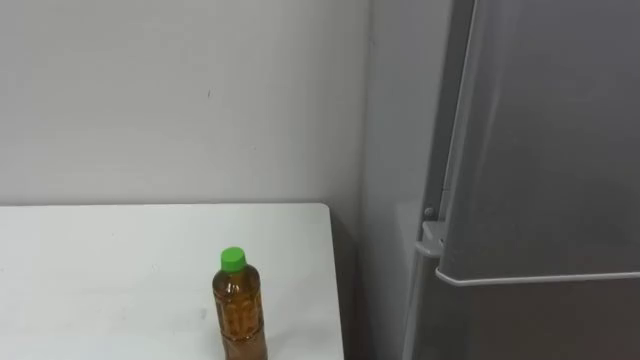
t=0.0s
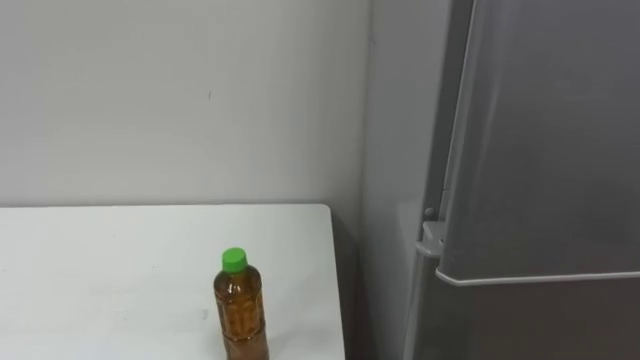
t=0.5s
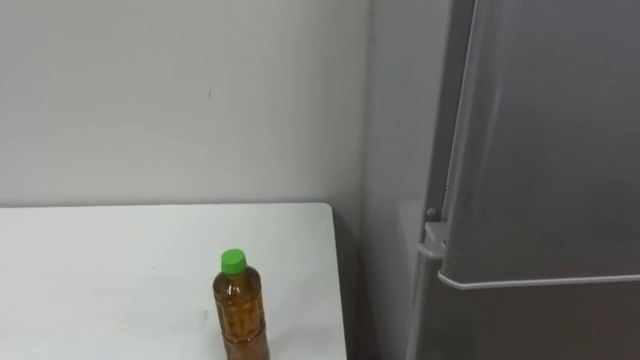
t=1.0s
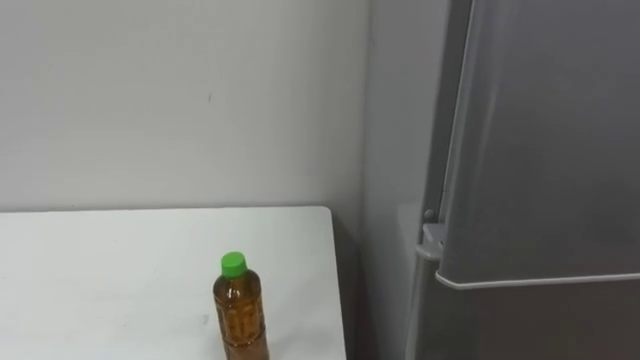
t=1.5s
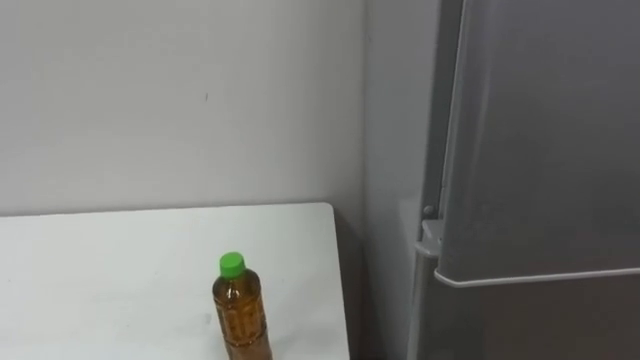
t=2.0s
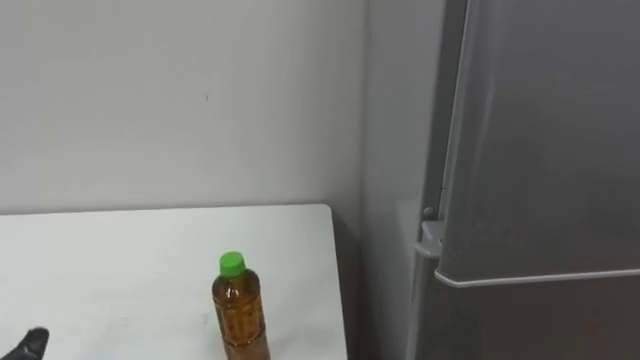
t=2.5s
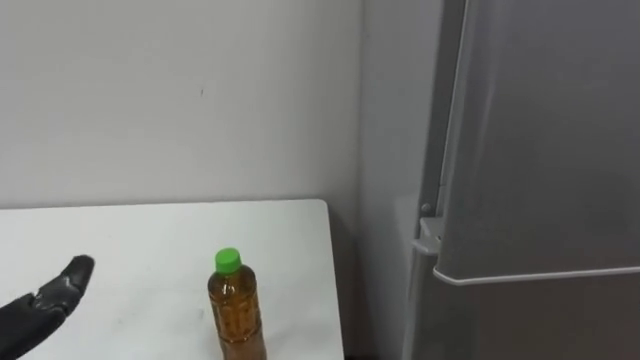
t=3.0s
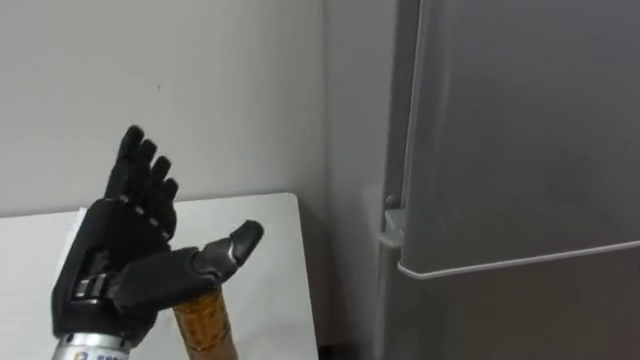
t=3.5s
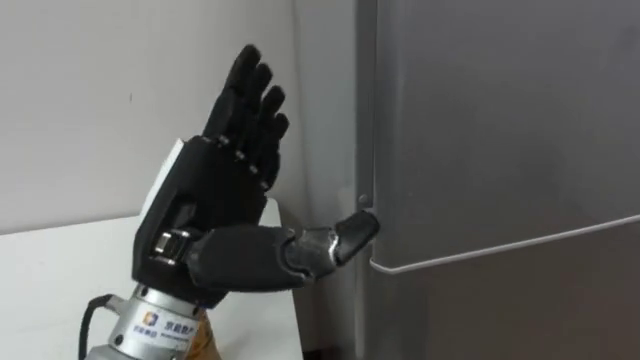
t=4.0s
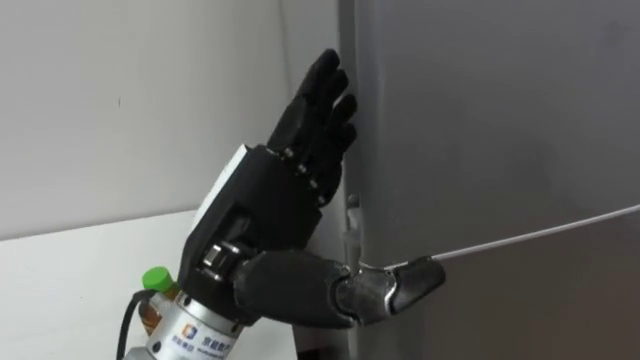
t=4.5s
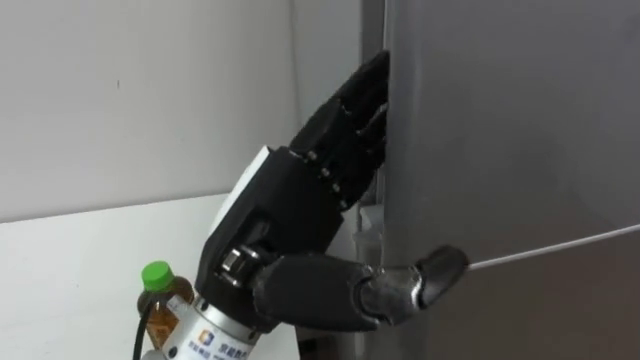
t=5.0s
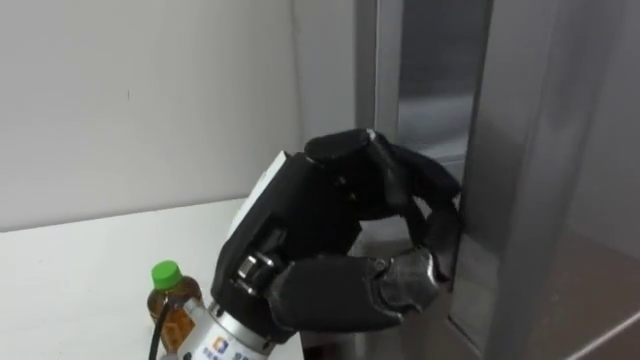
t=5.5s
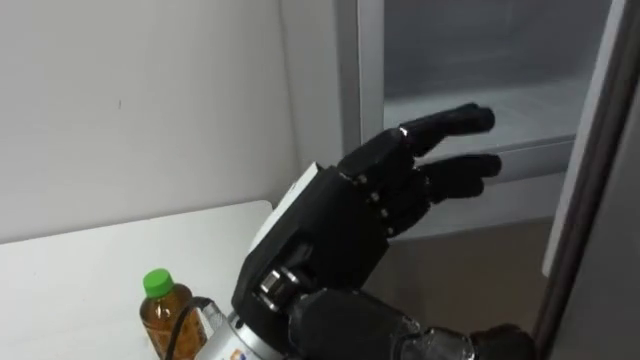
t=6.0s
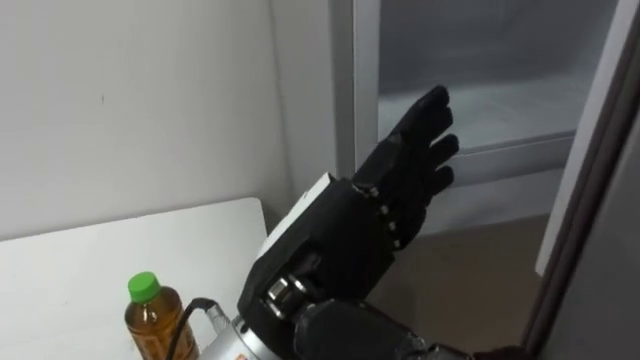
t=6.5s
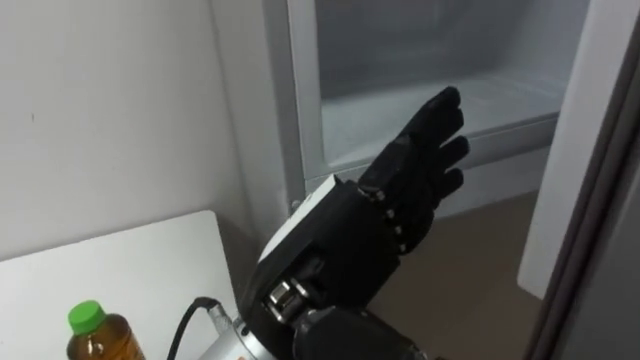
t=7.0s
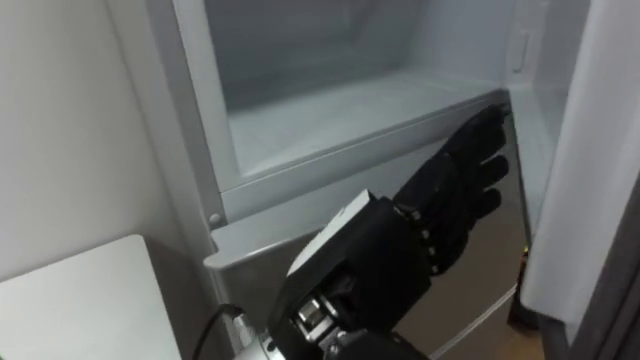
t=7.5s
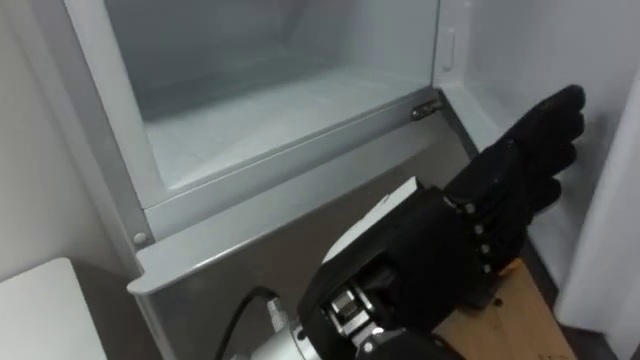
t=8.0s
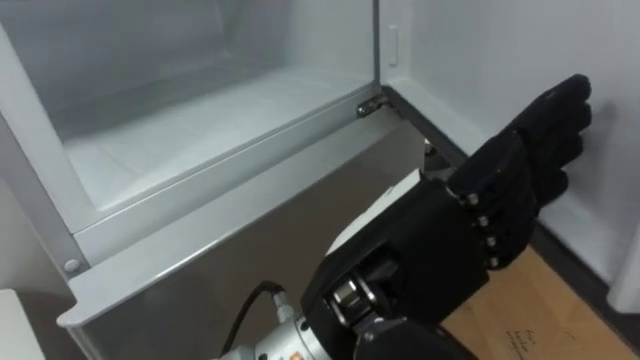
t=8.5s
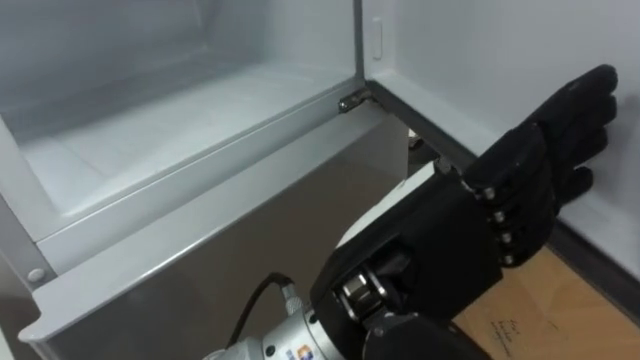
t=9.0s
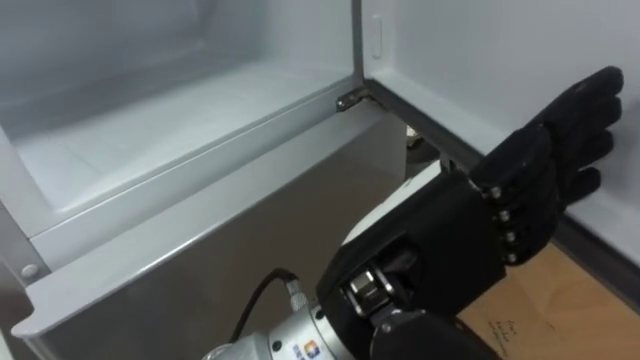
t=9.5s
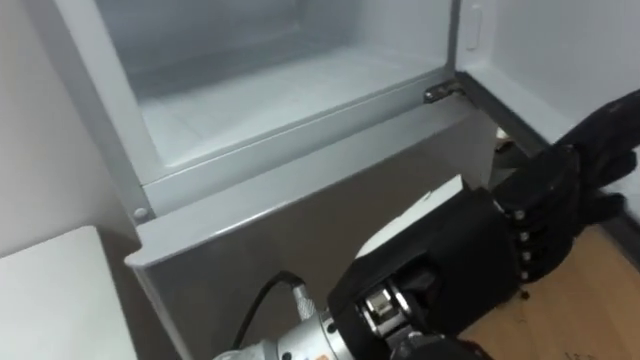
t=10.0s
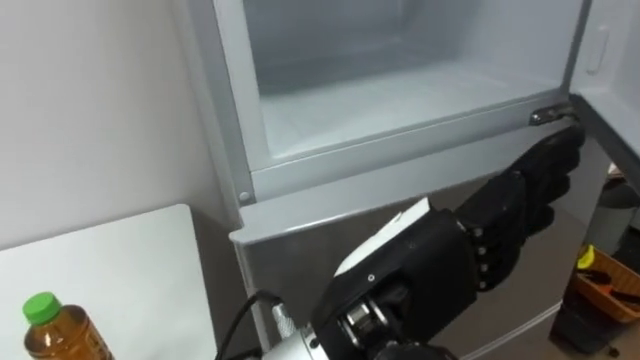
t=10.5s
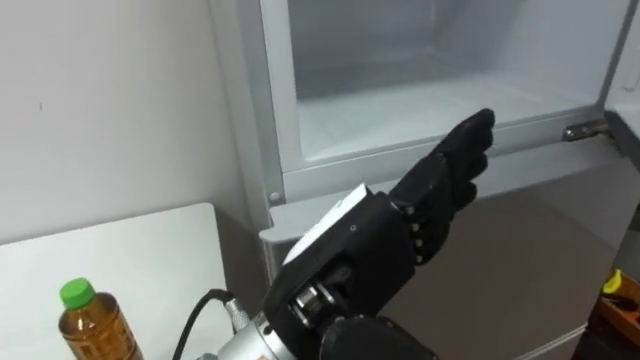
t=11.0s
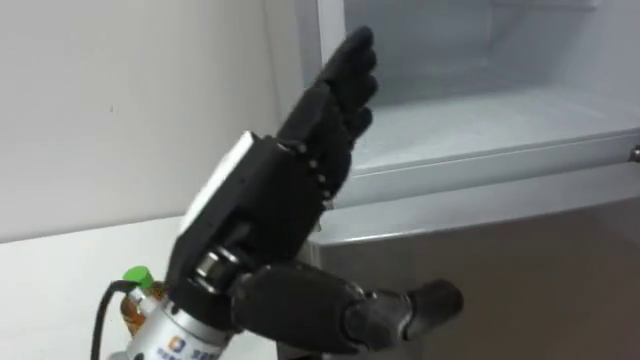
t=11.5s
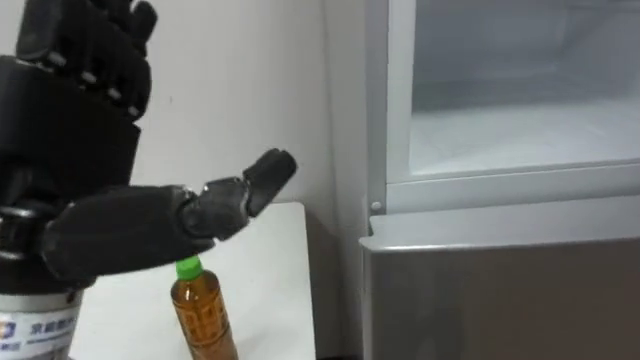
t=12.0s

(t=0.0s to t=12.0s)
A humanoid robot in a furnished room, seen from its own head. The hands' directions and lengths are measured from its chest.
Task of the whole recording: Open the upper refrigerator door, put the drink from the table into the refrigerator, and then close the refrigerator door.
t=4.0s - t=6.0s: The left hand goes roughly 10 cm to the right, and closes and opens again.
t=6.0s - t=8.0s: The robot's body swings approximately 20 degrees to its right. The left hand ends up about 5 cm from where it was.
t=10.0s - t=12.0s: The left hand shifts roughly 20 cm to the left.

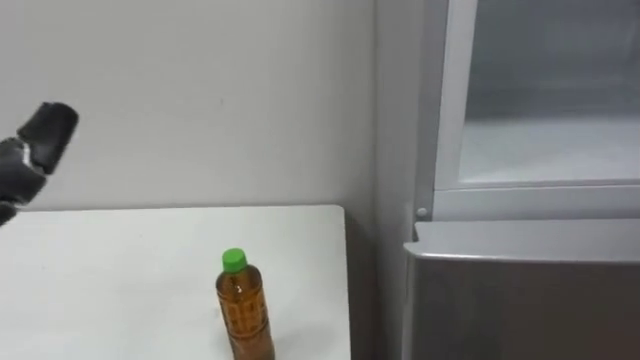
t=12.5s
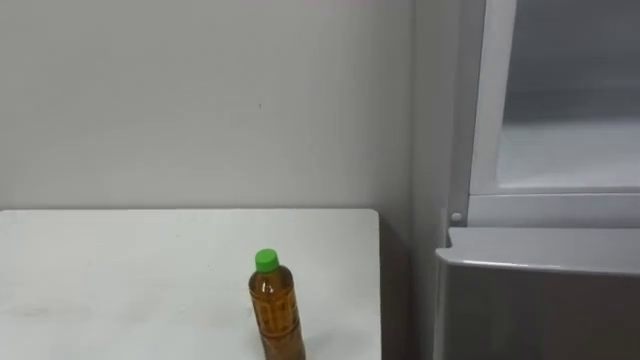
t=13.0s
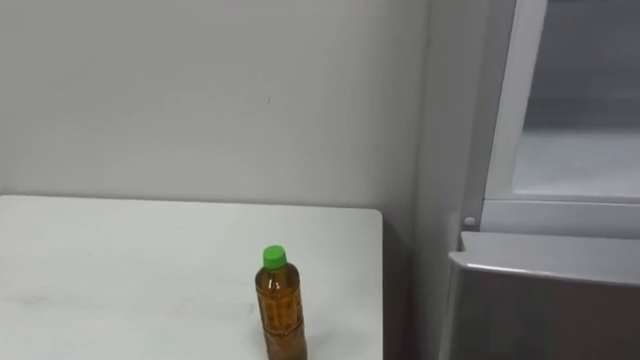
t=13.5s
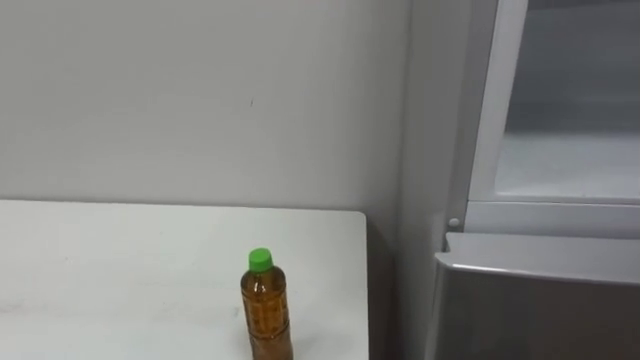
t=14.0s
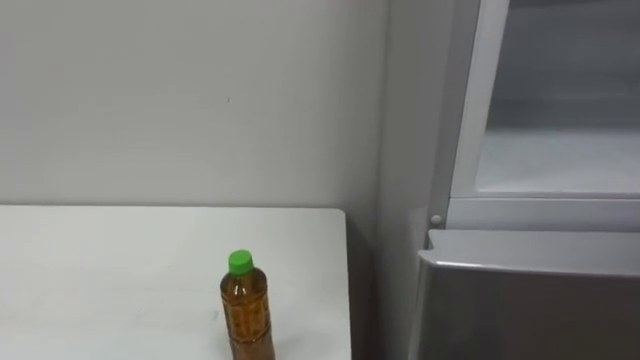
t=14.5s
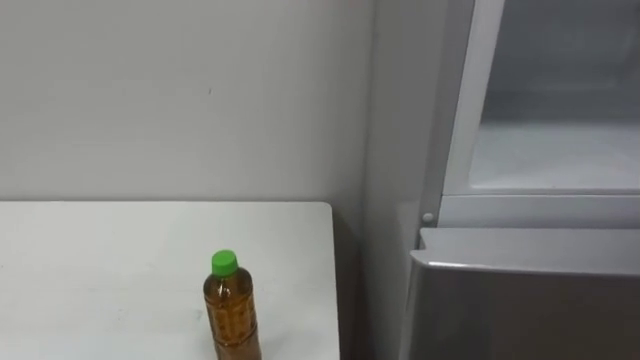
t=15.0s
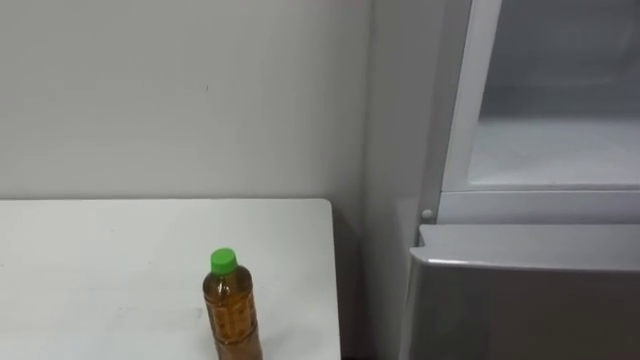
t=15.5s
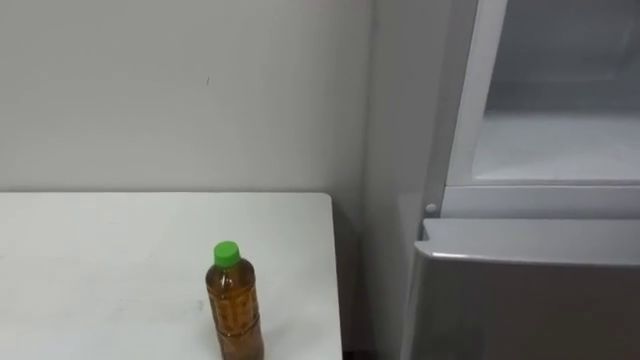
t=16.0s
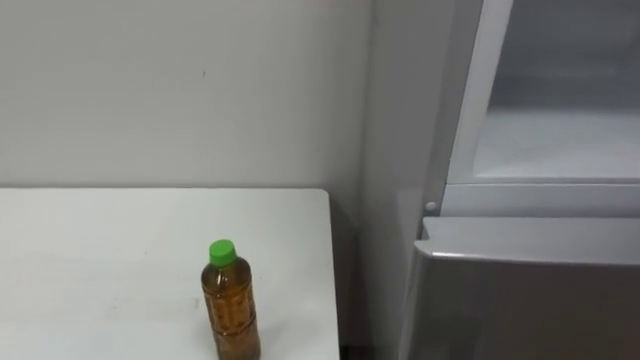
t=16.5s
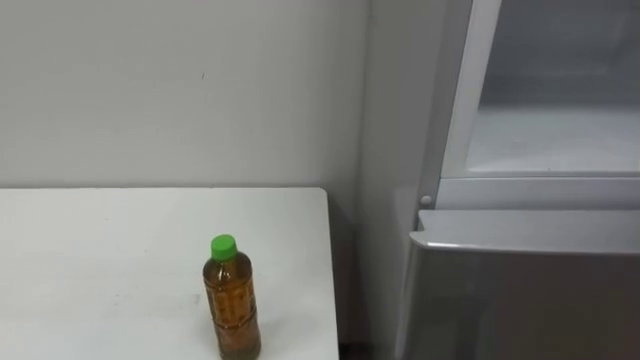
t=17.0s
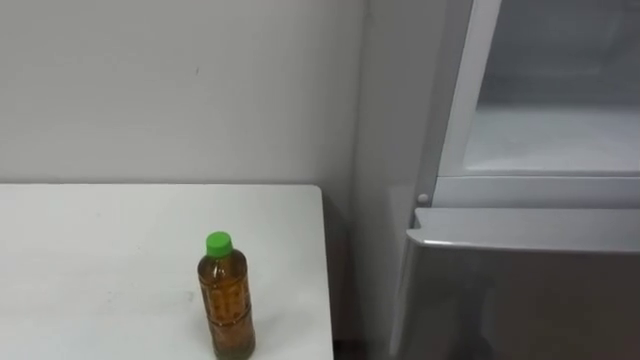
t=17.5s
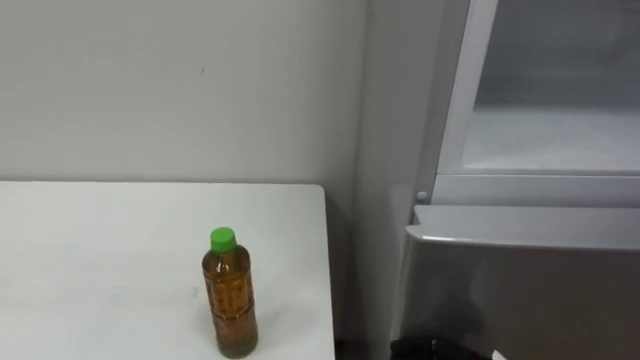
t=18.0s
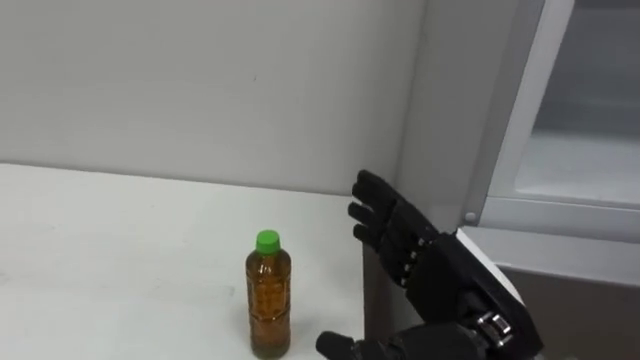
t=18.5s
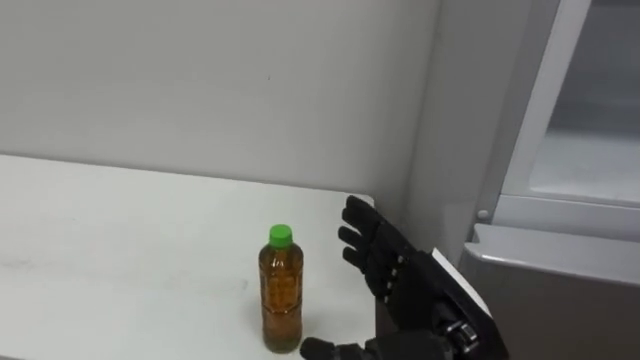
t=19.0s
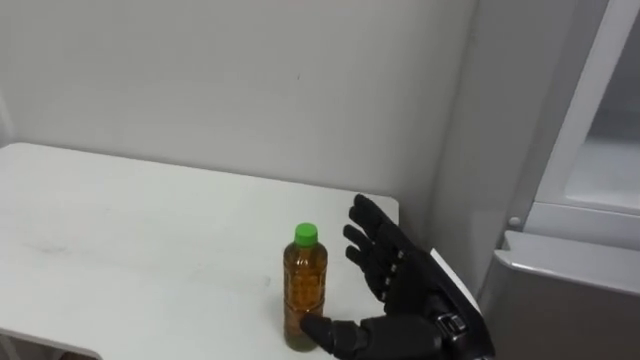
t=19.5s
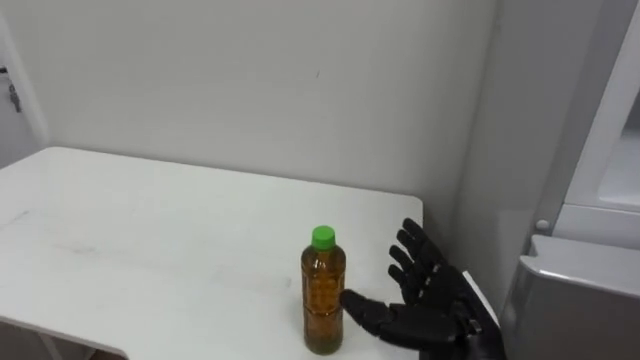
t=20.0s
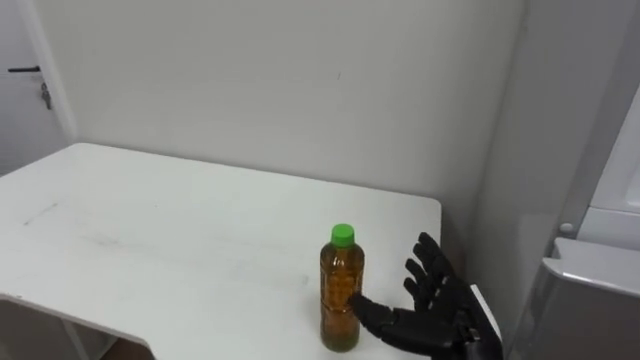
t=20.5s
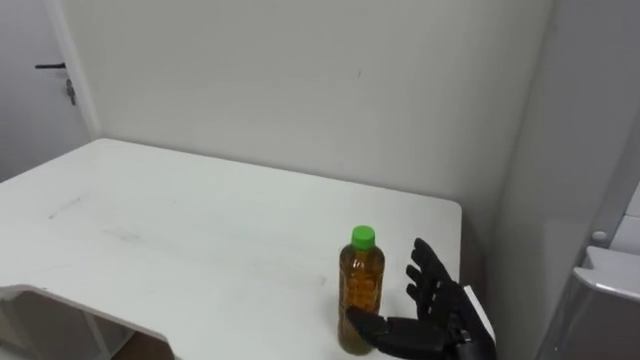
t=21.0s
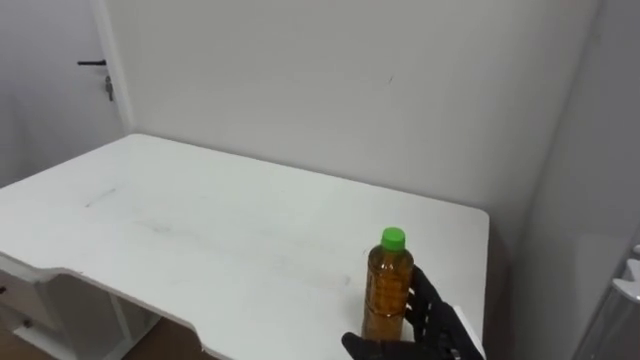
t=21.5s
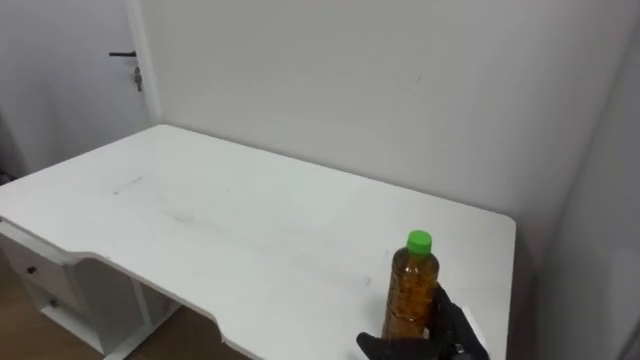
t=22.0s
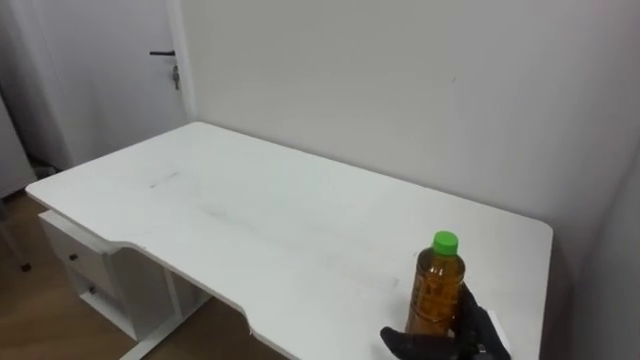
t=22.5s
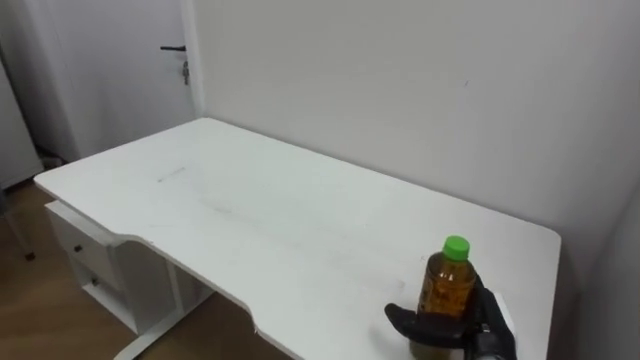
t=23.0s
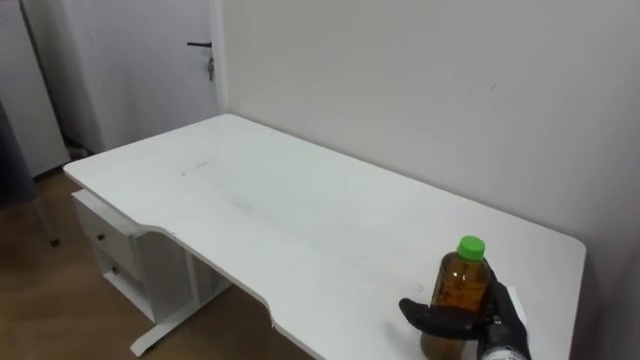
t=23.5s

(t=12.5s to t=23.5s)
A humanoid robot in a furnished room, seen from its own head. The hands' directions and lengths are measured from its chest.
Task of the whole recording: Open the upper refrigerator door, put the drink from the table into the refrigerator, and then close the refrigerator door.
t=20.0s - t=21.5s: The right hand shifts roughly 5 cm downward.
t=21.5s - t=23.5s: The right hand moves to the right, some 5 cm.
